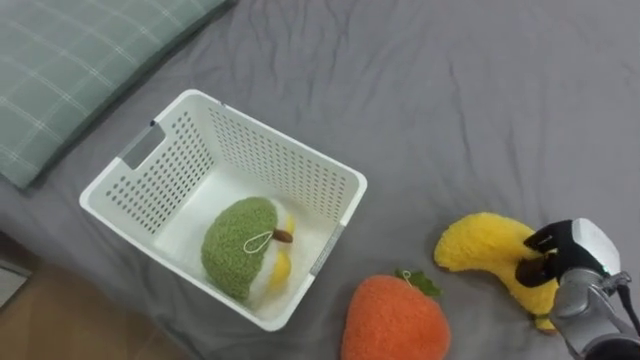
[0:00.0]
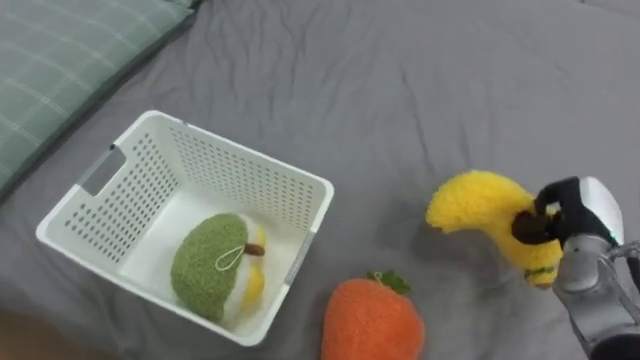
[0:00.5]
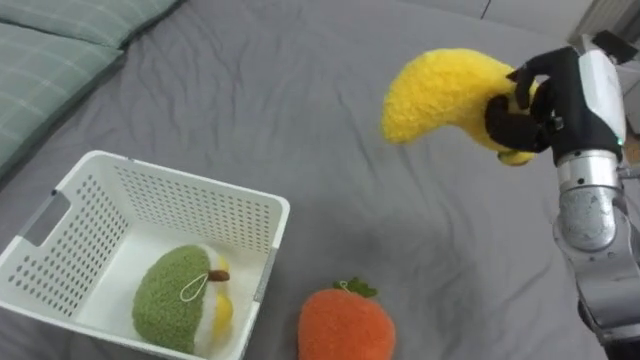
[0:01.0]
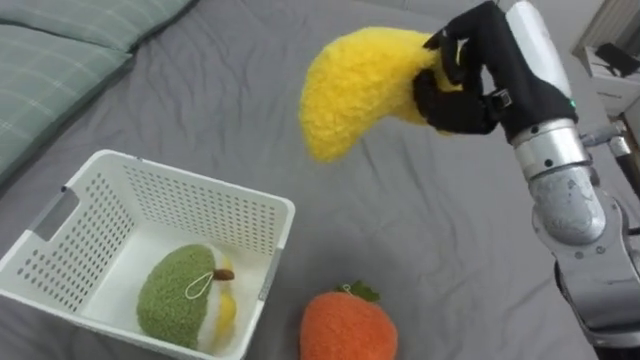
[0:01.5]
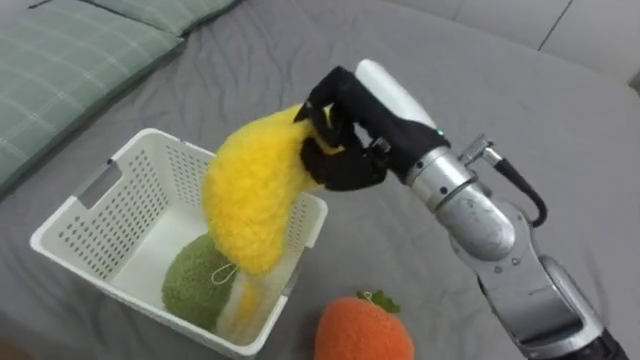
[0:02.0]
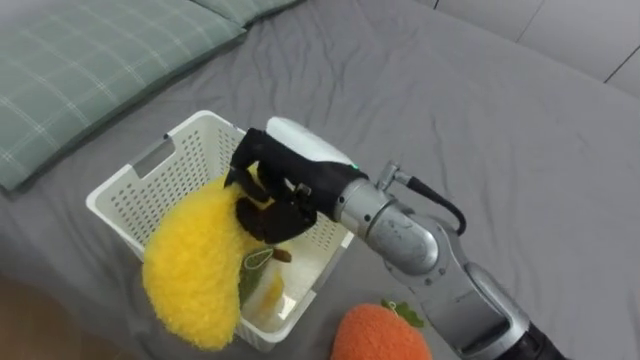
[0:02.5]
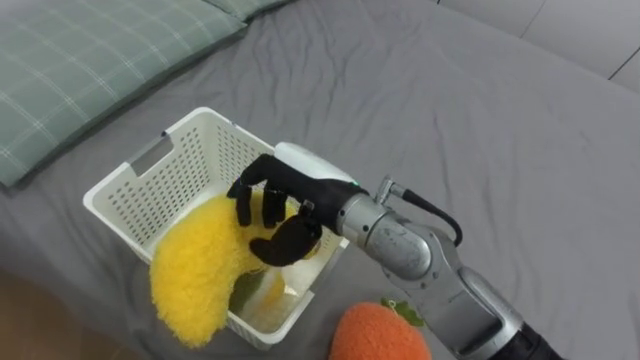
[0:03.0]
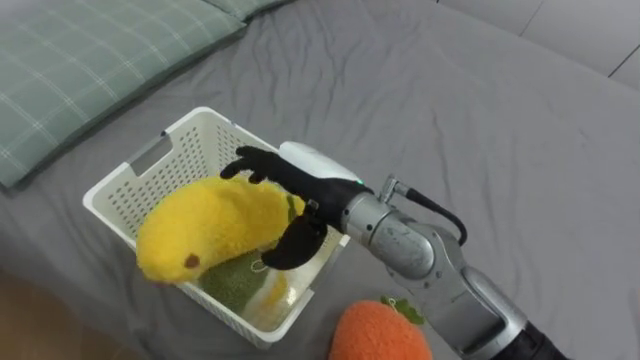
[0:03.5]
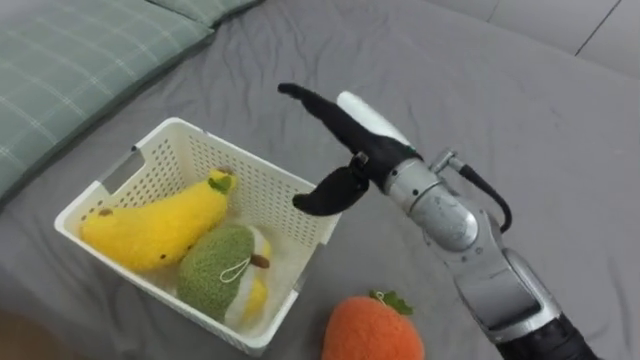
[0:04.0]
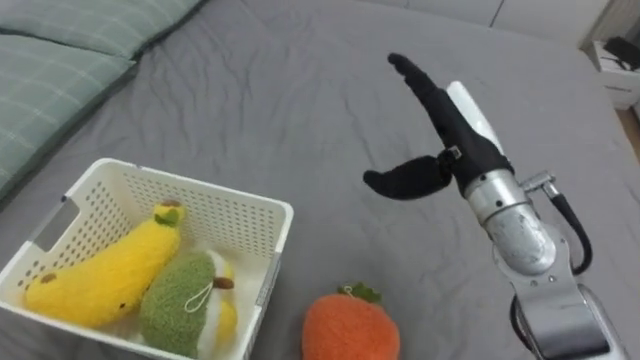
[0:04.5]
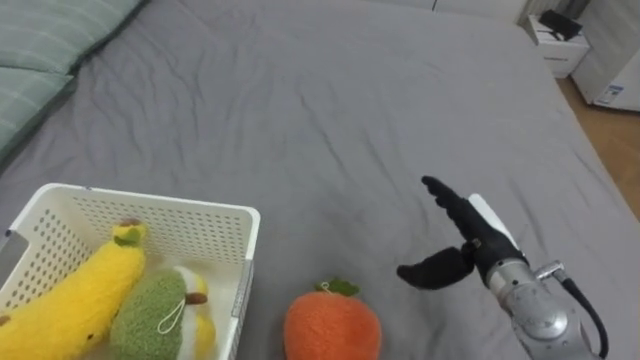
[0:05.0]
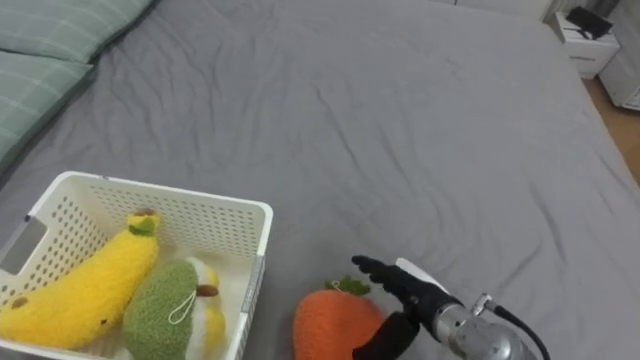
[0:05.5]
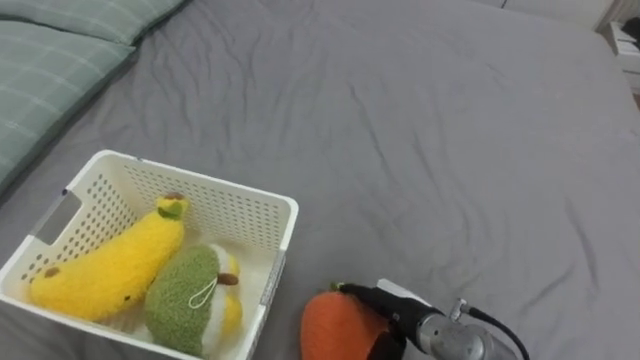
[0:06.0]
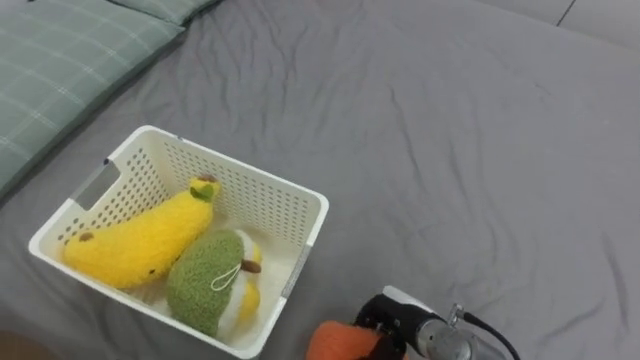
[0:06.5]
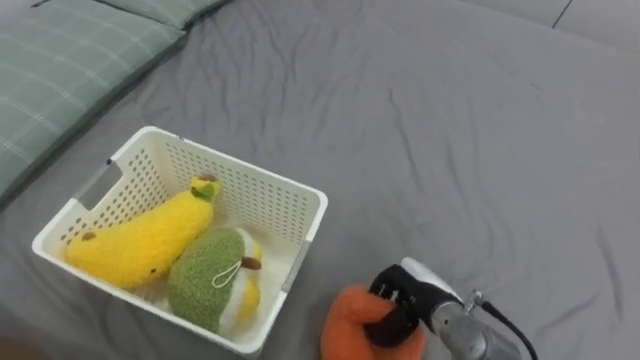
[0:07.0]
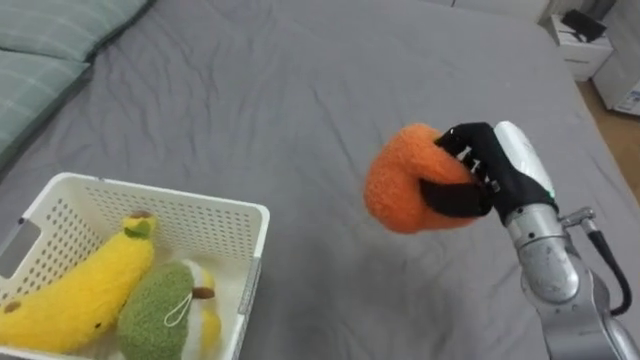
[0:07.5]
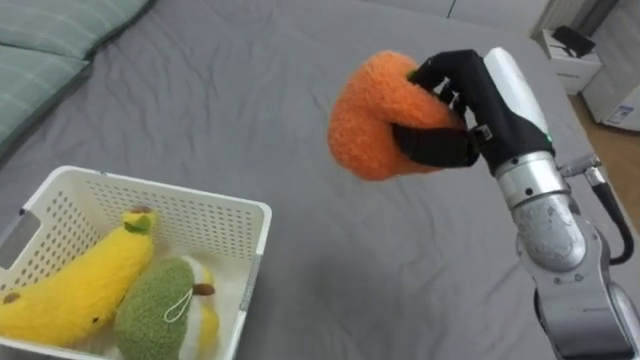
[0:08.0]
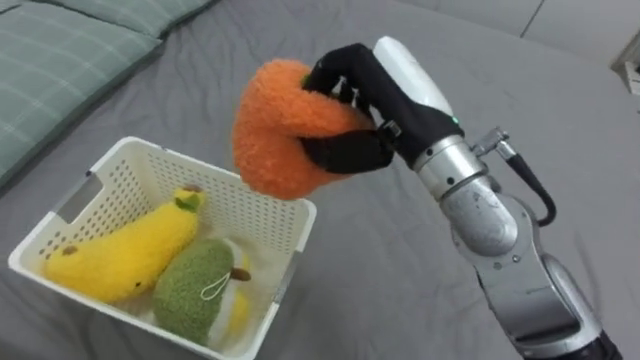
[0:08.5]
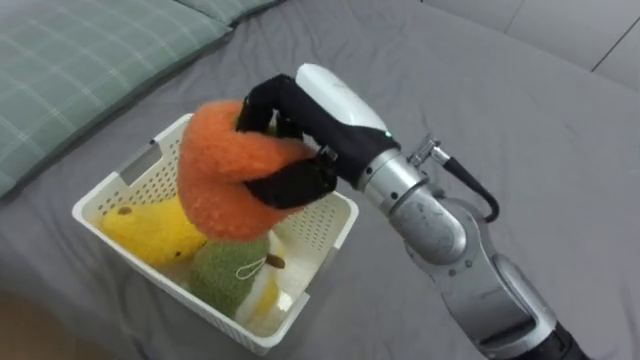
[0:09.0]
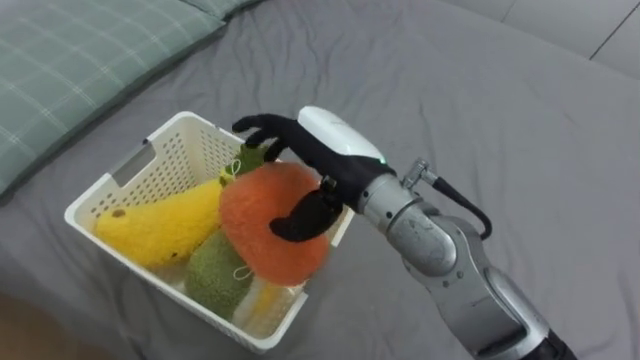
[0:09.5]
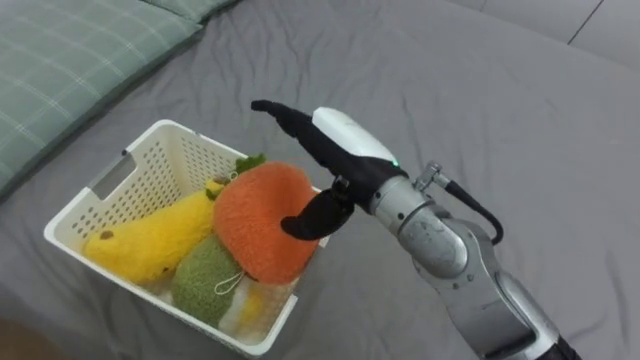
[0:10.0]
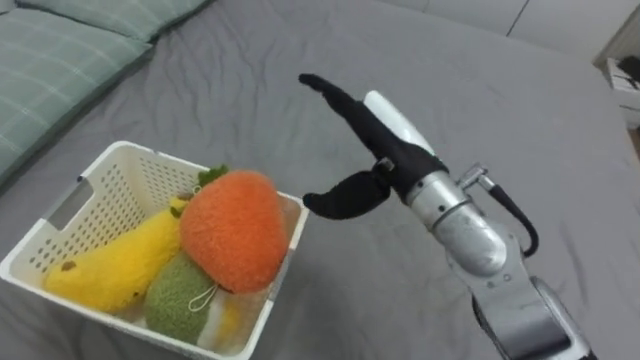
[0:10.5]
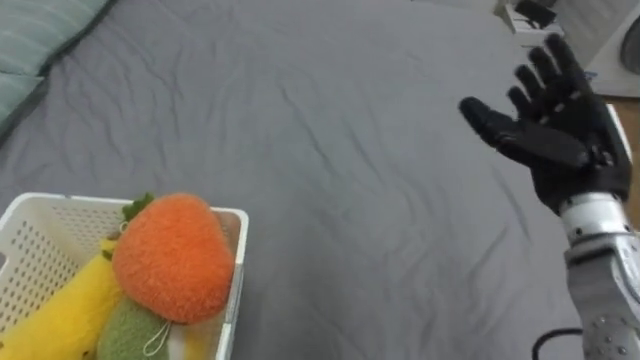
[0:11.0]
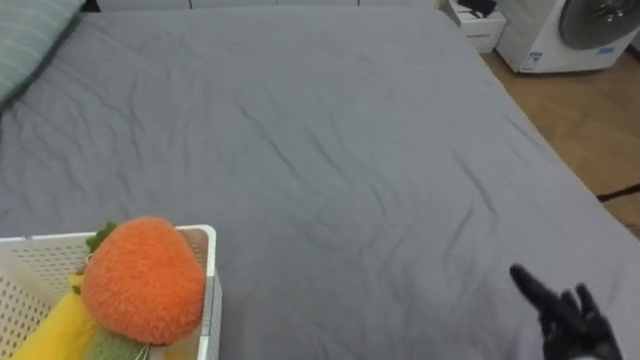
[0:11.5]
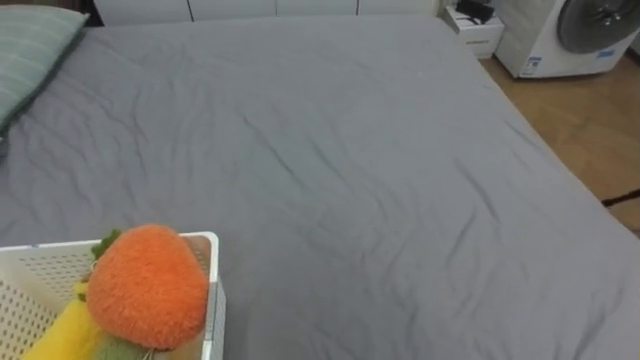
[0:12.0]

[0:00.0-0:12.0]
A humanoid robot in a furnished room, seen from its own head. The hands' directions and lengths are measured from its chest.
Task of the whole recording: Put the toys on the bed into the basket on the left.
0:00.0 to 0:02.0: The right hand travels to the left and upward by about 35 cm.
0:02.0 to 0:04.0: The right hand travels to the left and back again, some 10 cm each way, and opens its fingers.
0:04.0 to 0:06.0: The right hand moves downward and backward, roughly 25 cm.
0:06.0 to 0:08.0: The right hand travels upward by about 25 cm, and closes its fingers.
0:08.0 to 0:10.0: The right hand goes roughly 15 cm to the left, and opens up.

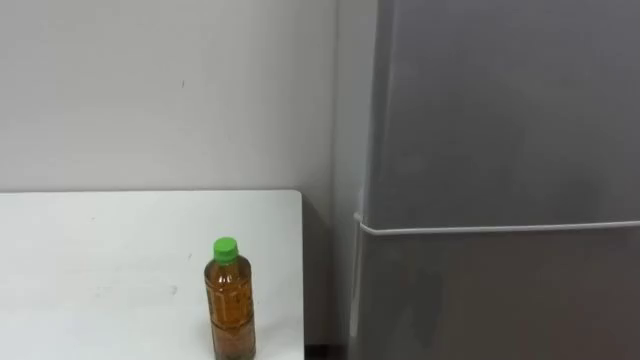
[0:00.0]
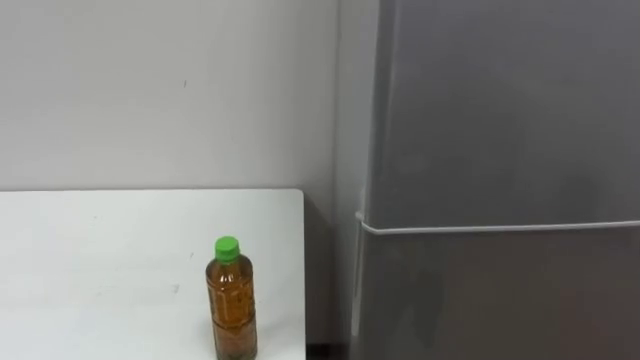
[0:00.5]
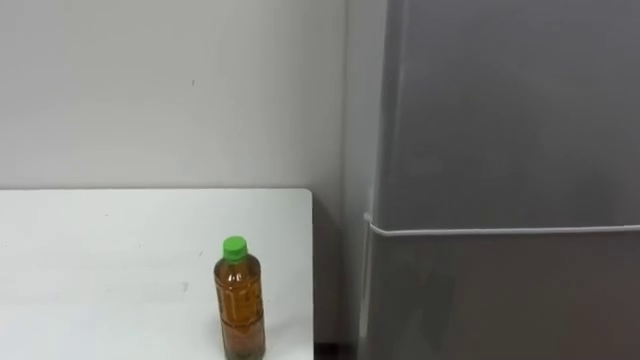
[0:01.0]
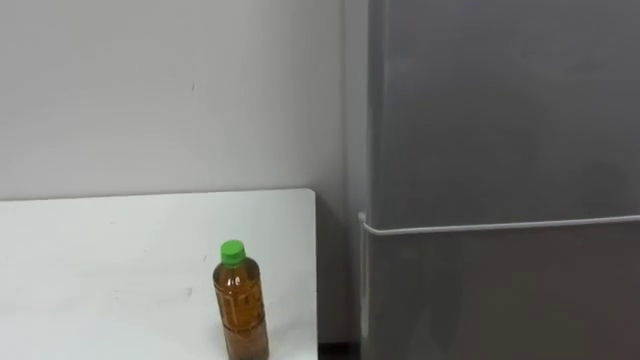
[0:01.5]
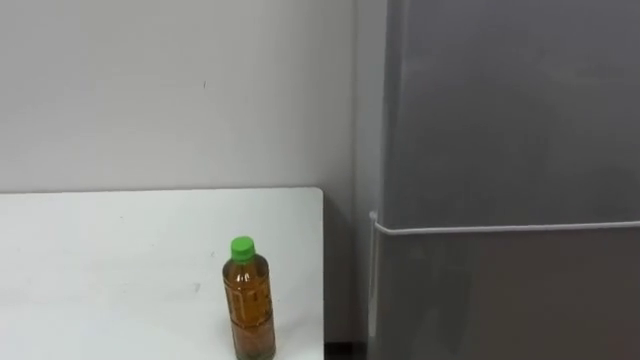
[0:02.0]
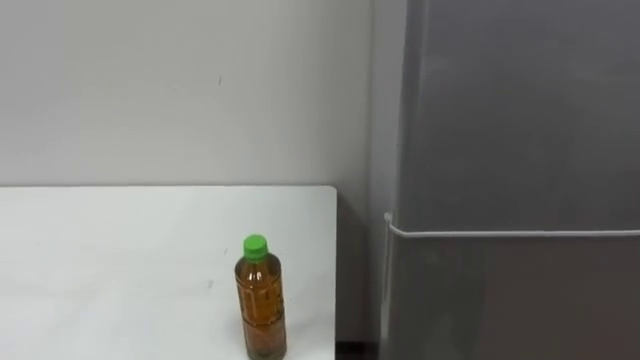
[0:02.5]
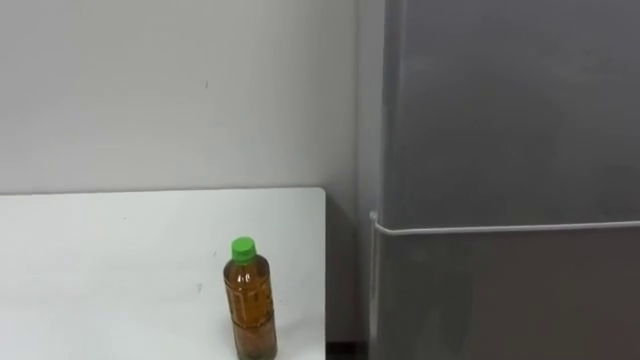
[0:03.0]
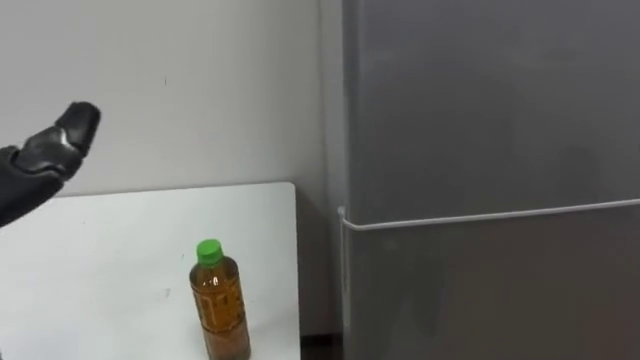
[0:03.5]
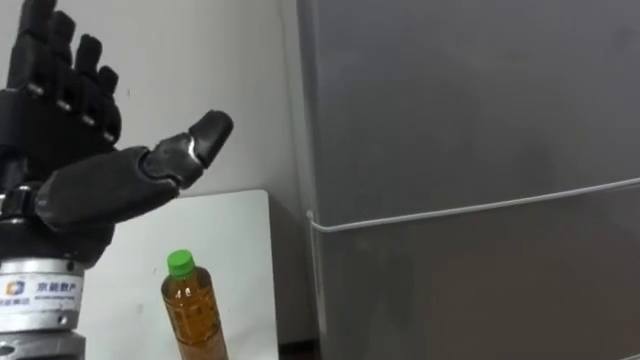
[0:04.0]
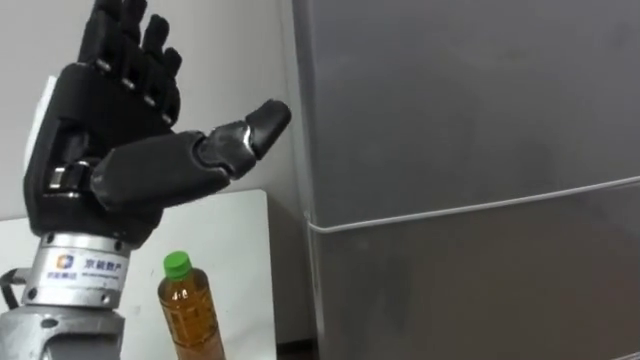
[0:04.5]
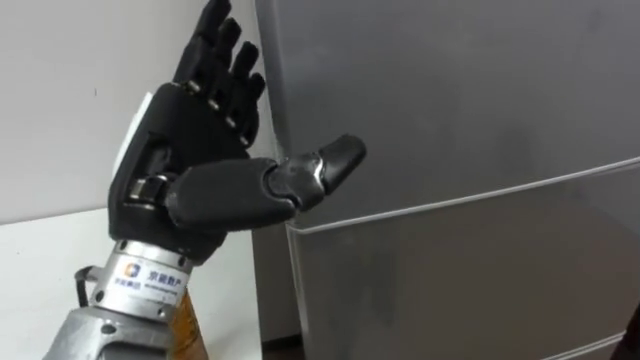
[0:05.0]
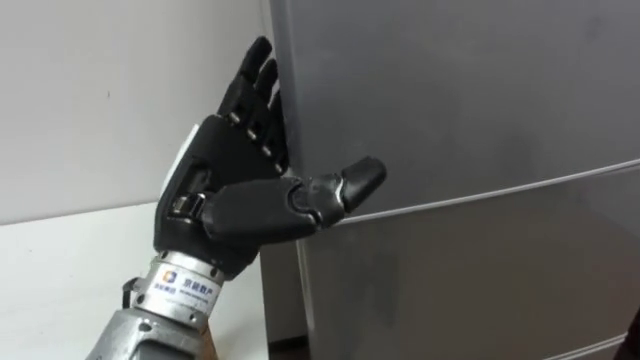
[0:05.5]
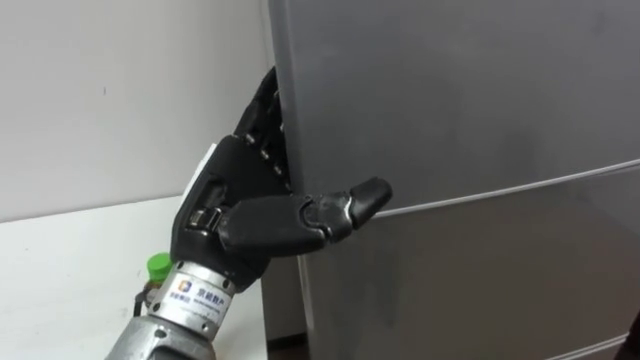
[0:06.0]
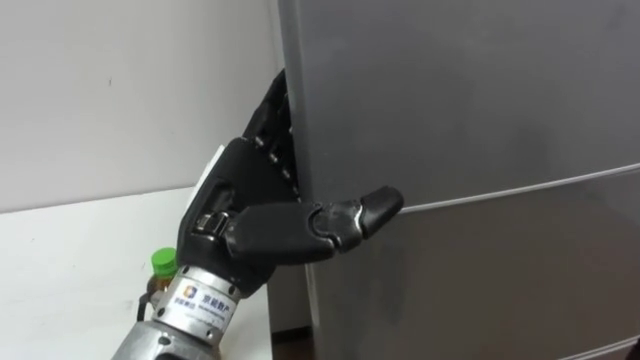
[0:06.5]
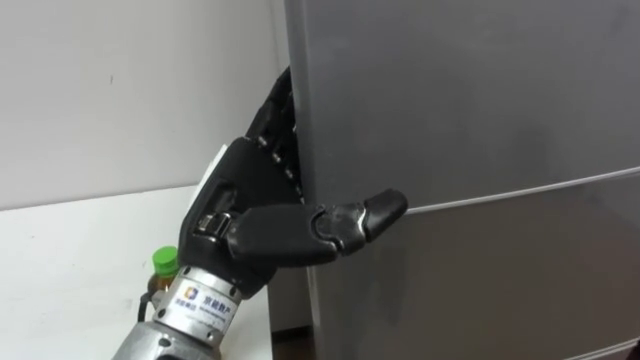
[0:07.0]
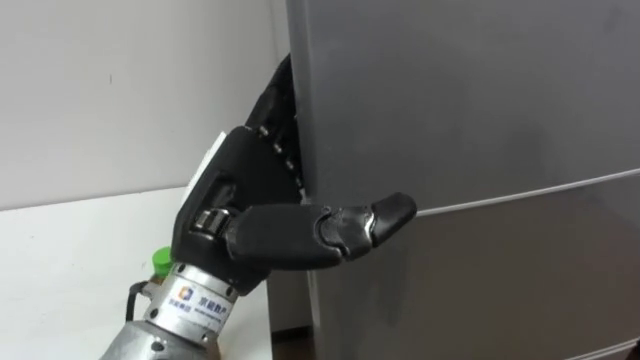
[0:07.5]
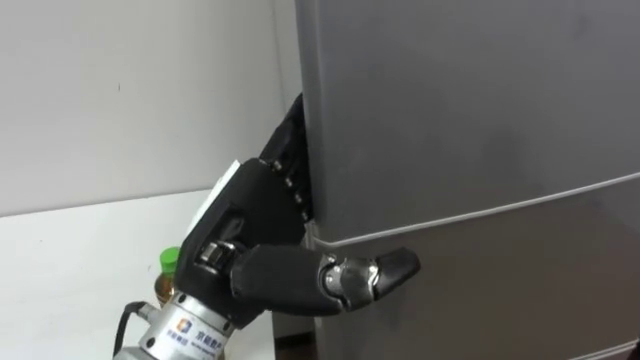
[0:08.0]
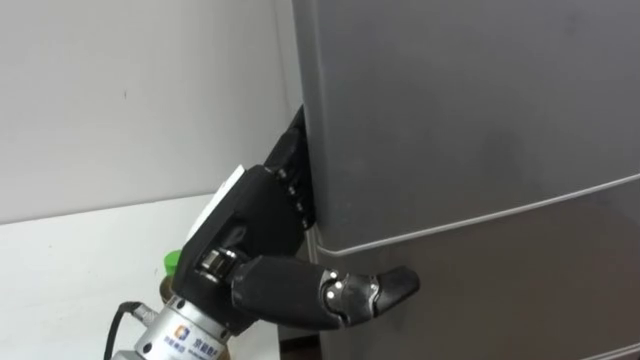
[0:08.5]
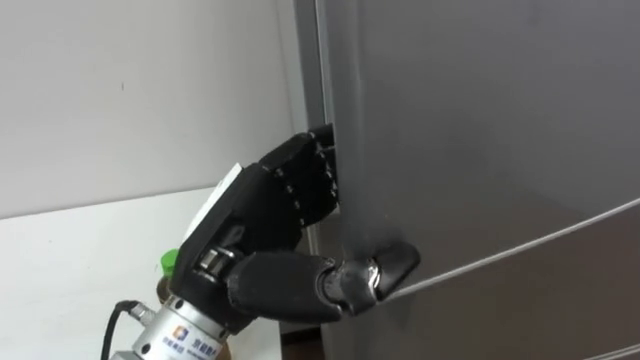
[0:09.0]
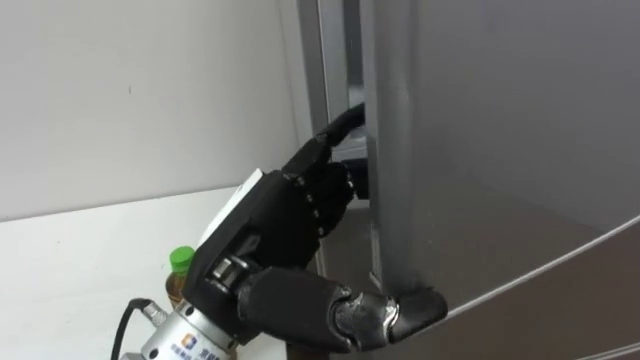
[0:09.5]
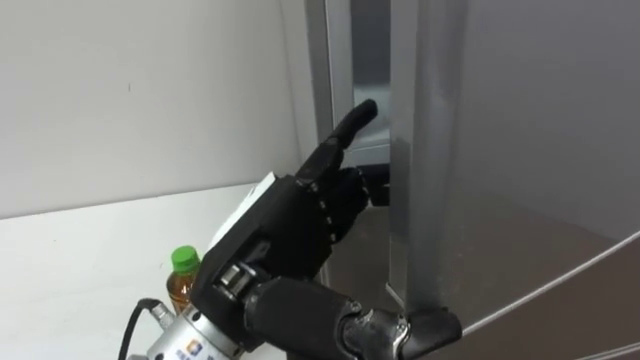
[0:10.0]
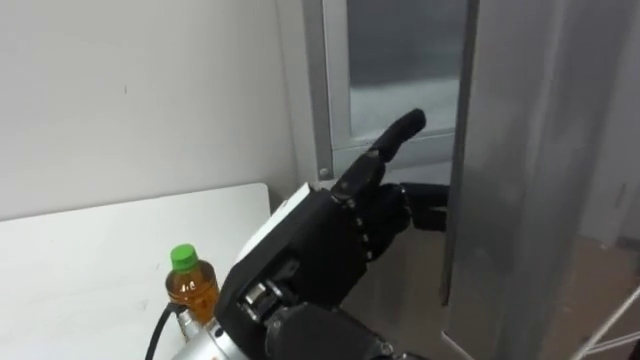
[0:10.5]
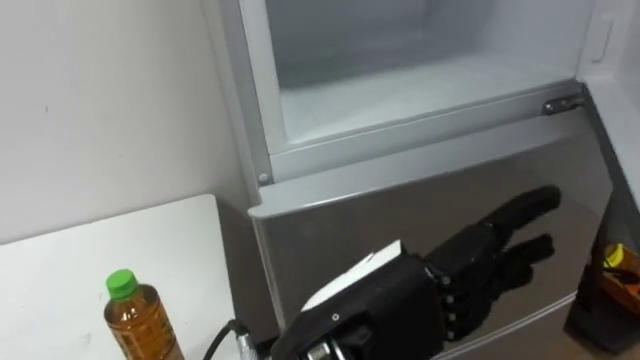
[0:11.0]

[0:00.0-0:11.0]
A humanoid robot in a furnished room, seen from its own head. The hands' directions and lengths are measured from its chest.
Task of the whole recording: Open the upper refrigerator door, put the drink from the table into the refrigerator, and then close the refrigerator door.
0:07.5 to 0:09.0: The left hand closes its fingers.
0:09.0 to 0:11.0: The left hand moves to the right and backward, some 10 cm, and opens its fingers.
